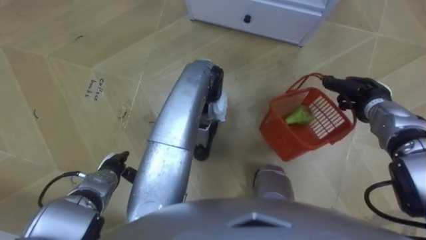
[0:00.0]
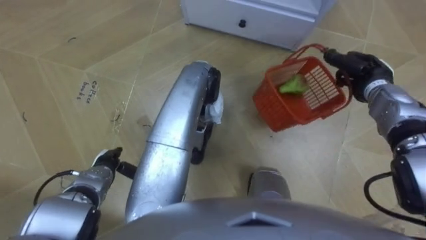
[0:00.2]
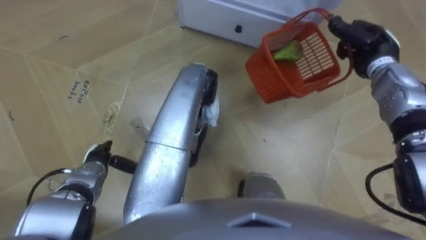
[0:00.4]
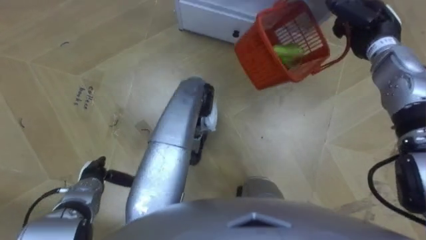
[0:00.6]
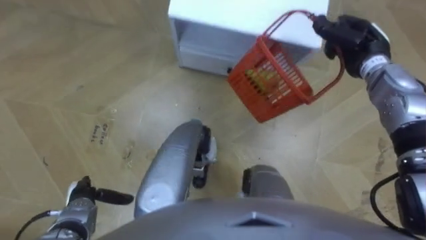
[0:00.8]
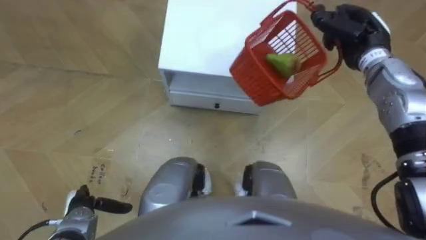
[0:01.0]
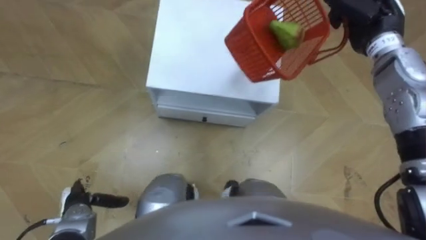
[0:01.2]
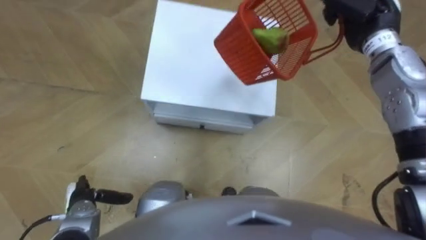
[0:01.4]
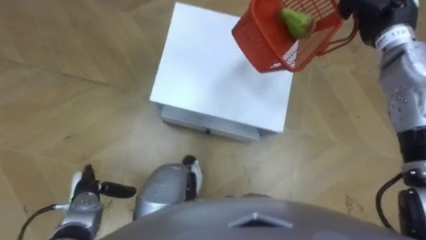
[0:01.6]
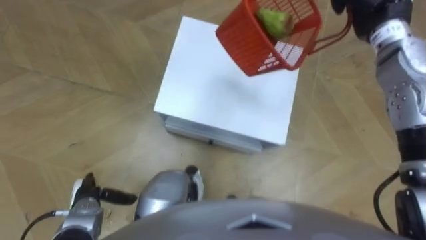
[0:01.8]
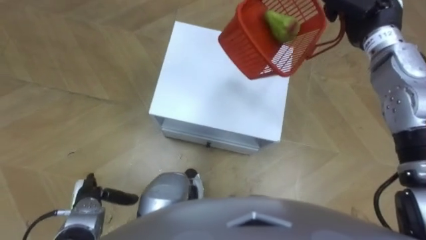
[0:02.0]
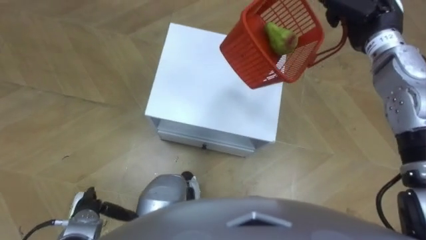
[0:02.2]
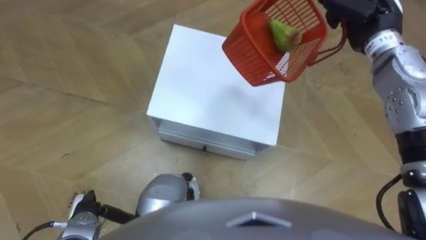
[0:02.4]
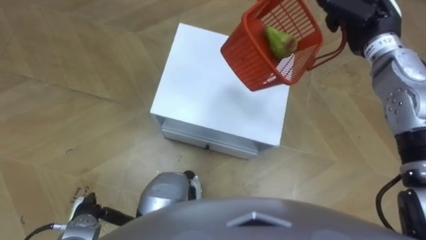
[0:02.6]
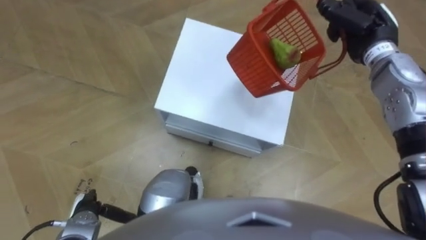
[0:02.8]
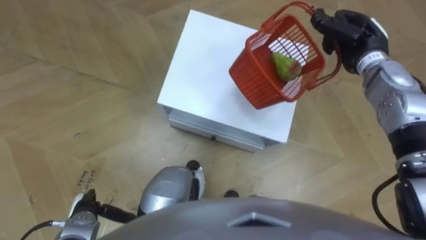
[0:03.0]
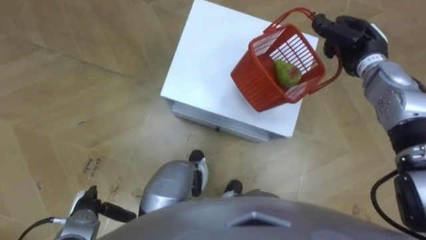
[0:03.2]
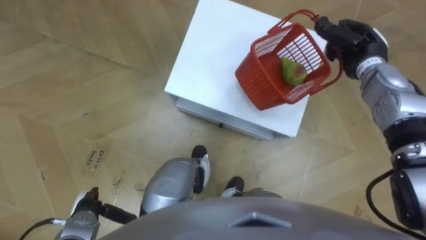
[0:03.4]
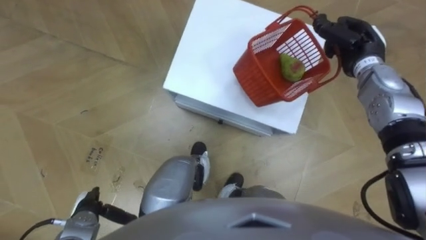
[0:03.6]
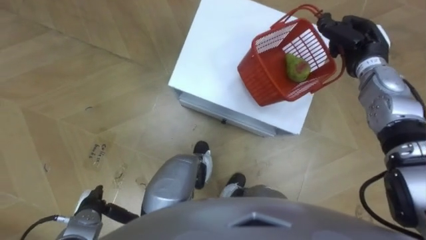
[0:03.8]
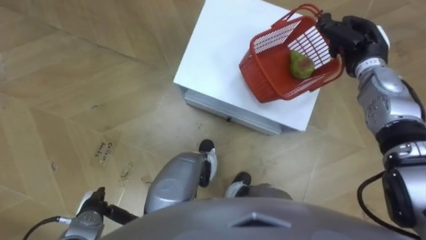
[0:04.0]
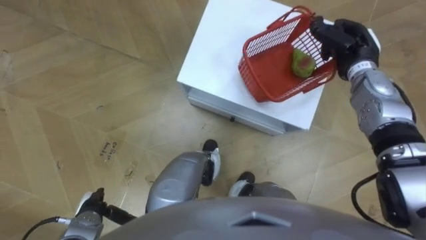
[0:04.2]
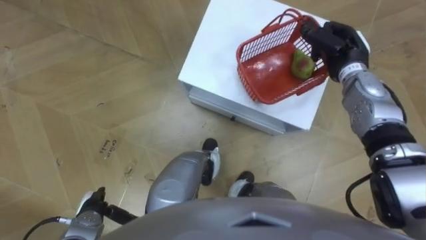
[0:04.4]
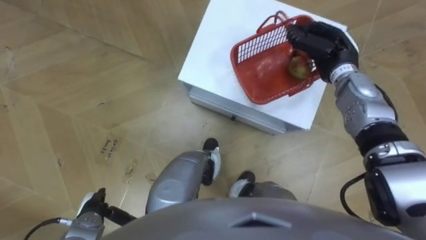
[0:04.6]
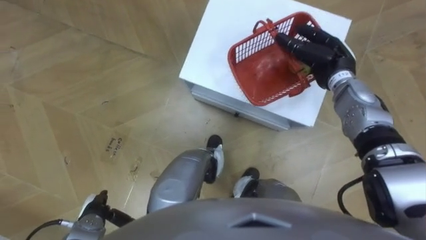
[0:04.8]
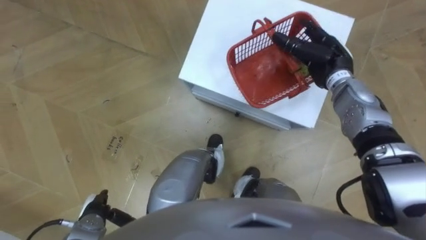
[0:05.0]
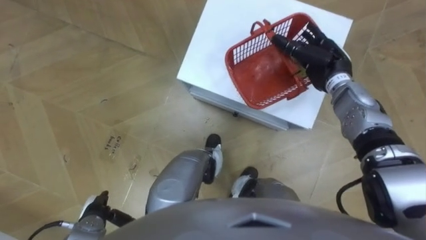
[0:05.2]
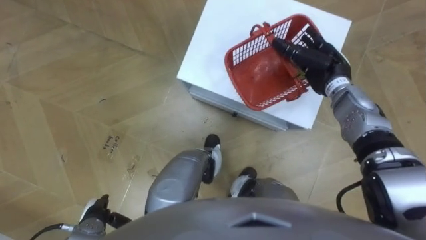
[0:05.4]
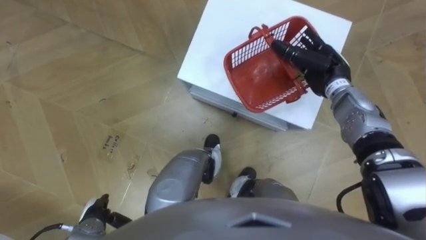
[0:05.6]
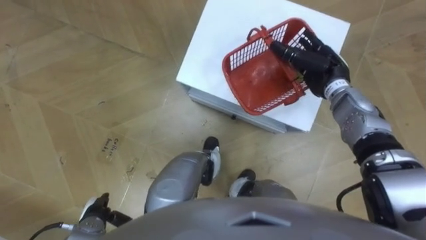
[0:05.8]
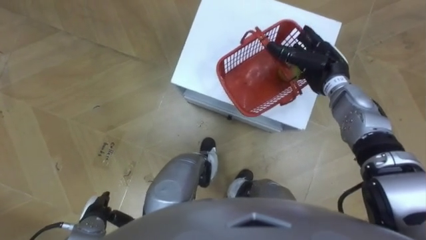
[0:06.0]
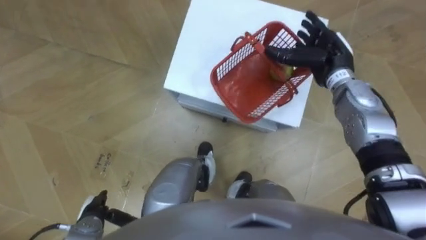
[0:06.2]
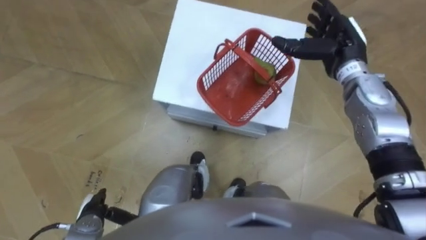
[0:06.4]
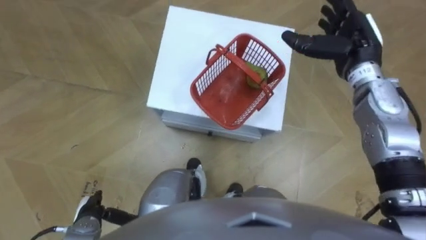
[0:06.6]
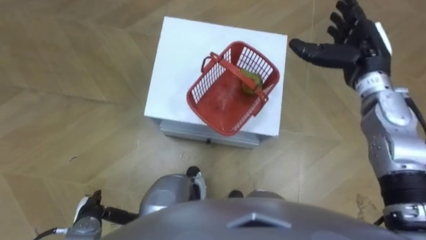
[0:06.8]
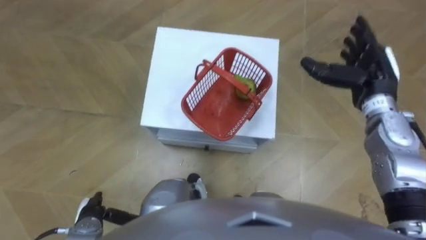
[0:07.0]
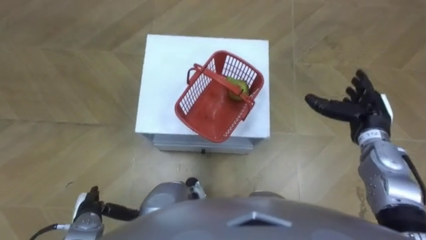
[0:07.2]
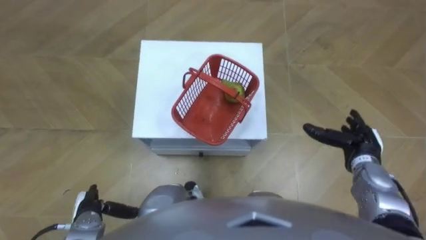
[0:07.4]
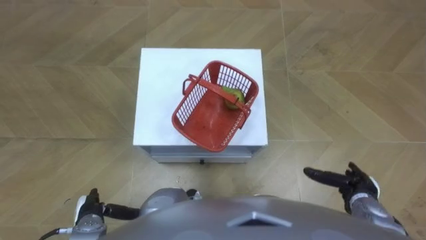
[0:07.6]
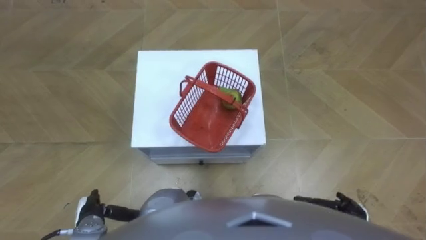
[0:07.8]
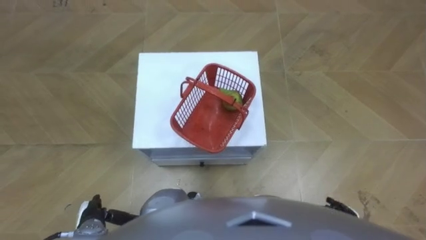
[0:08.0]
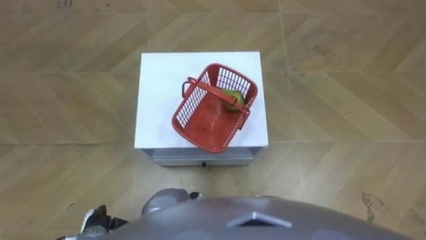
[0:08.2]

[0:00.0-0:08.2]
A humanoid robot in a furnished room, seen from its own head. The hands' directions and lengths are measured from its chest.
Task of the whole recording: Pick up the fruit basket from the floor and place it on the cabinet.
0:00.0 to 0:01.6: The right hand travels upward and forward by some 20 cm. Meanwhile the left hand heads to the left, covering roughly 5 cm.
0:01.6 to 0:03.2: The right hand moves downward, some 10 cm.
0:03.2 to 0:05.0: The right hand ends up about 5 cm from where it was, and opens.
0:05.0 to 0:06.6: The right hand travels upward by some 10 cm.
0:06.6 to 0:08.2: The right hand travels backward and downward by approximately 40 cm.

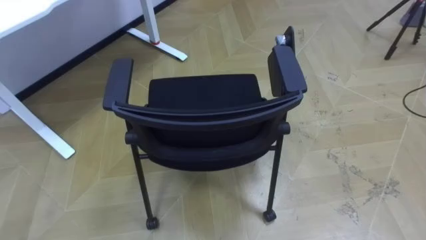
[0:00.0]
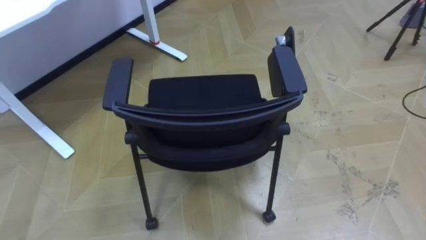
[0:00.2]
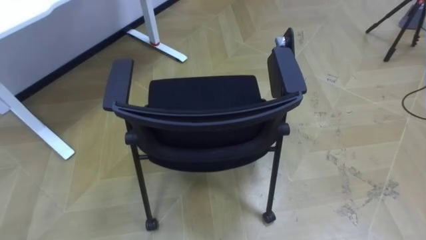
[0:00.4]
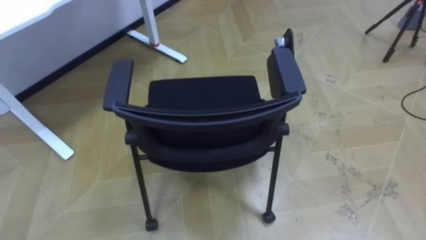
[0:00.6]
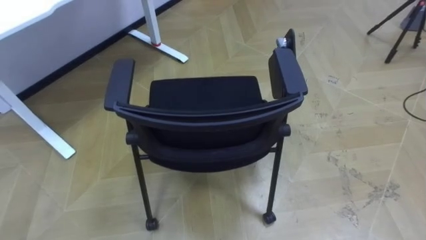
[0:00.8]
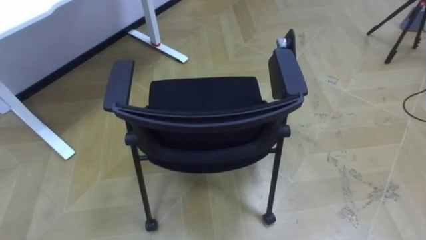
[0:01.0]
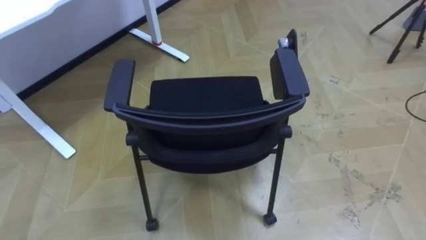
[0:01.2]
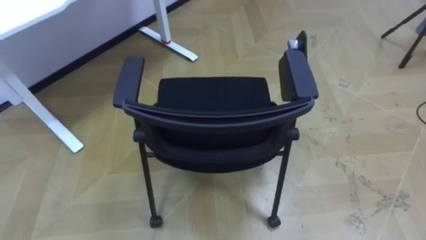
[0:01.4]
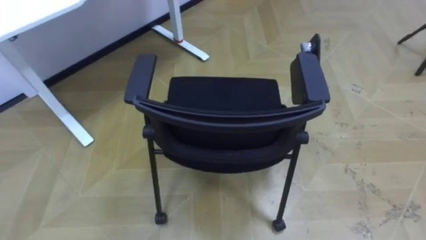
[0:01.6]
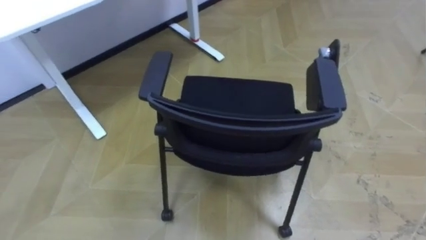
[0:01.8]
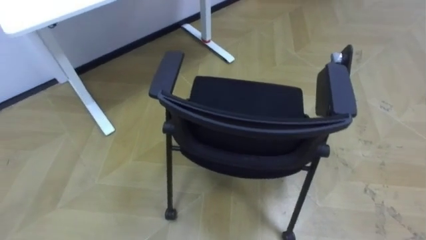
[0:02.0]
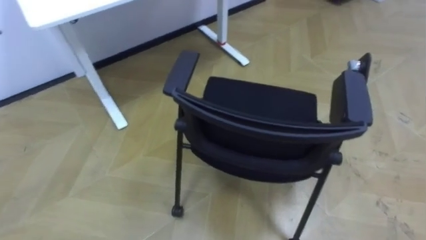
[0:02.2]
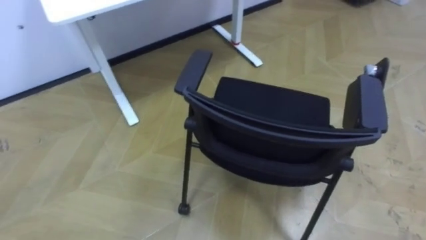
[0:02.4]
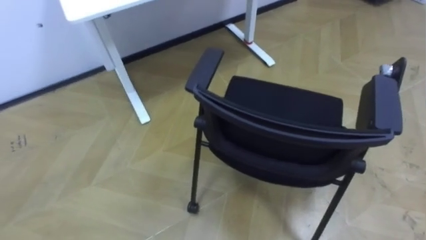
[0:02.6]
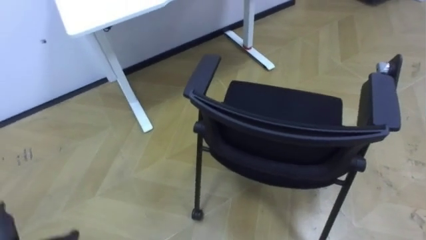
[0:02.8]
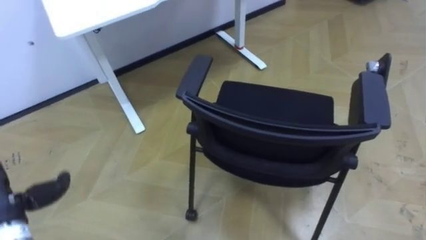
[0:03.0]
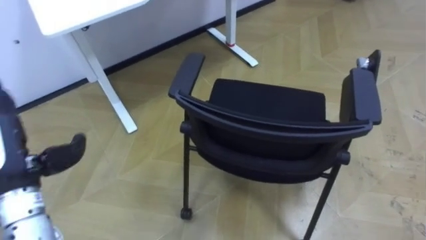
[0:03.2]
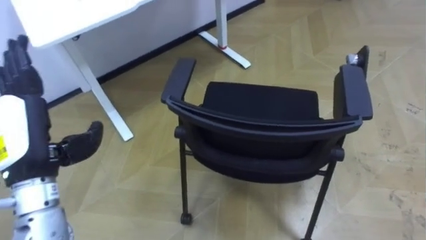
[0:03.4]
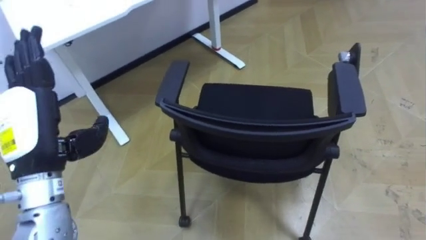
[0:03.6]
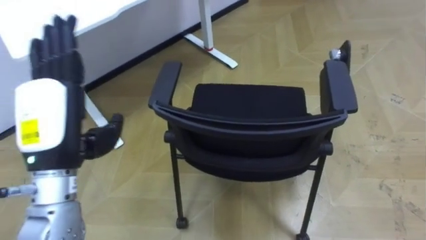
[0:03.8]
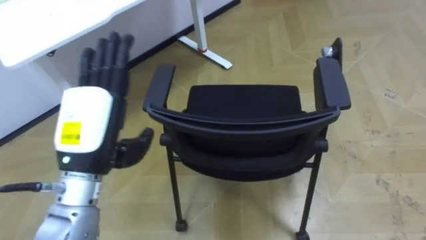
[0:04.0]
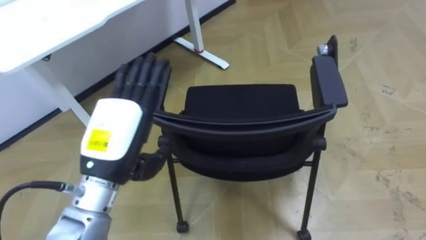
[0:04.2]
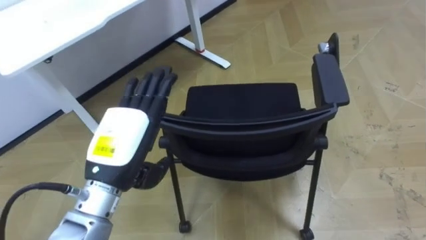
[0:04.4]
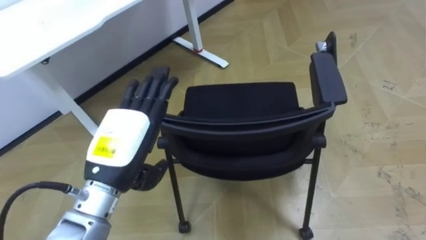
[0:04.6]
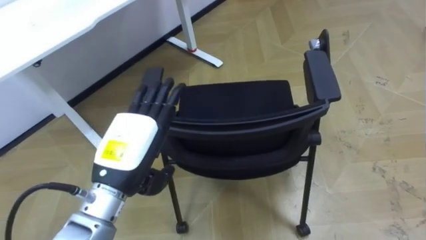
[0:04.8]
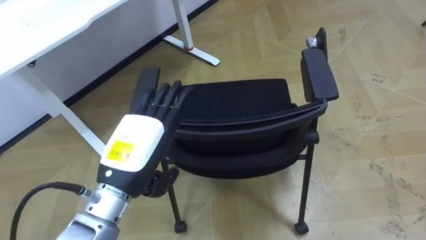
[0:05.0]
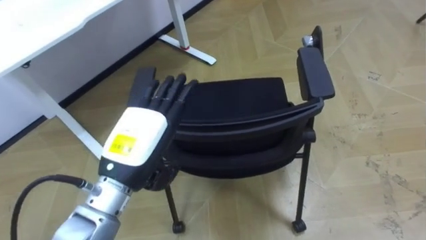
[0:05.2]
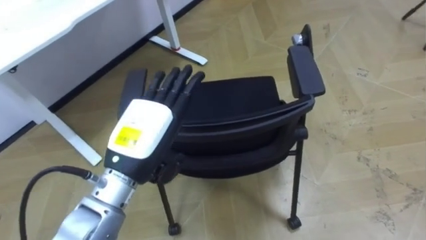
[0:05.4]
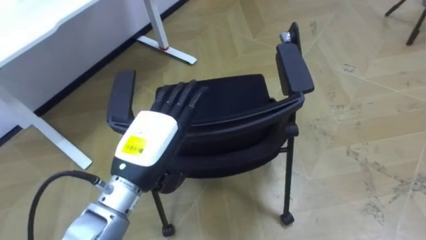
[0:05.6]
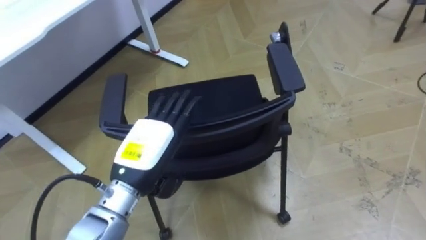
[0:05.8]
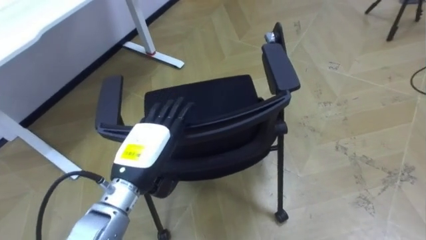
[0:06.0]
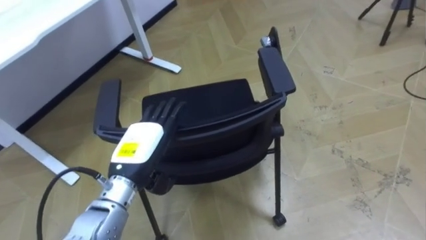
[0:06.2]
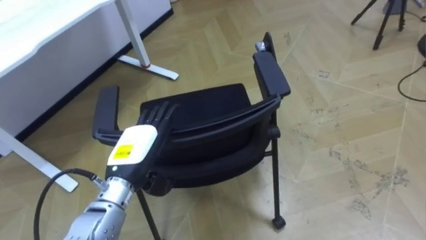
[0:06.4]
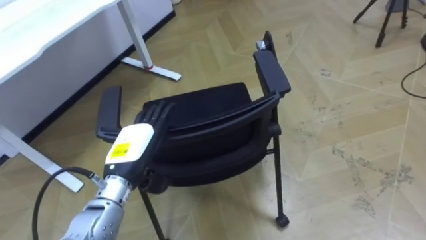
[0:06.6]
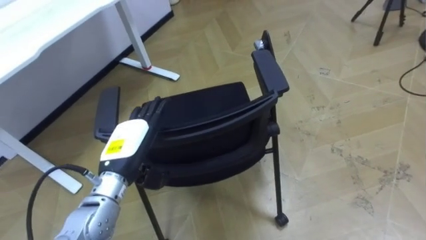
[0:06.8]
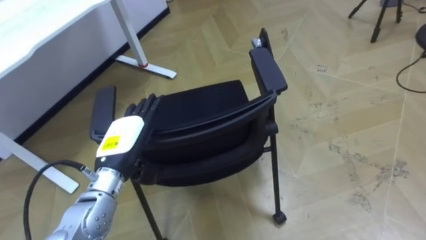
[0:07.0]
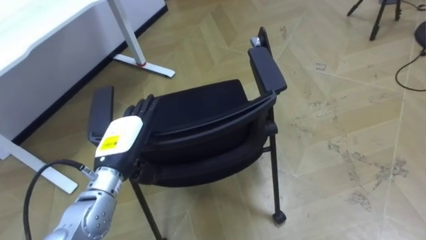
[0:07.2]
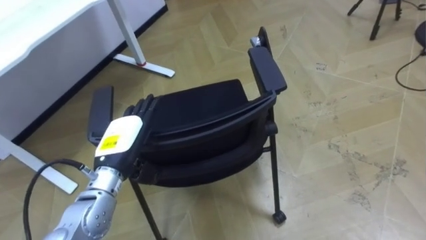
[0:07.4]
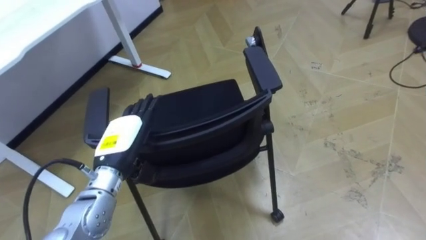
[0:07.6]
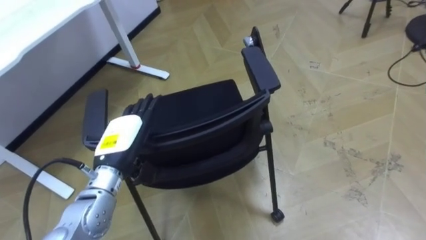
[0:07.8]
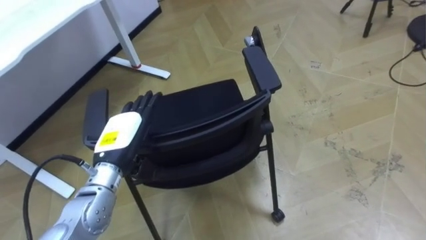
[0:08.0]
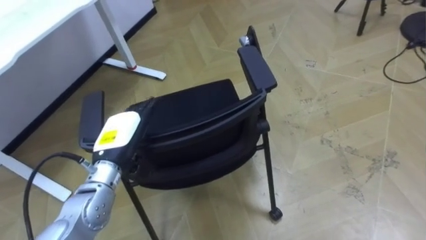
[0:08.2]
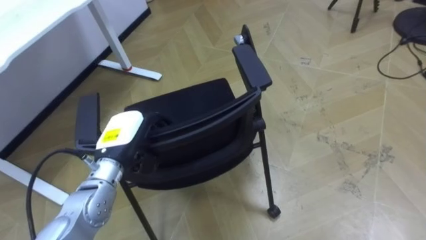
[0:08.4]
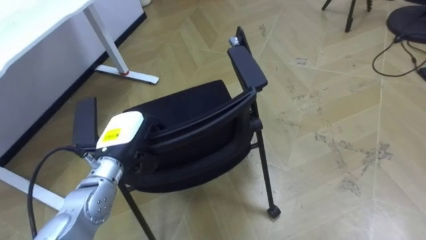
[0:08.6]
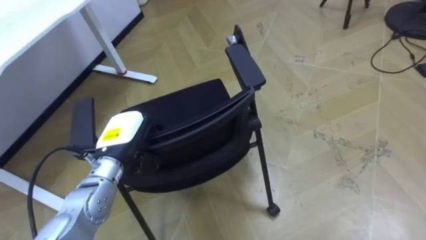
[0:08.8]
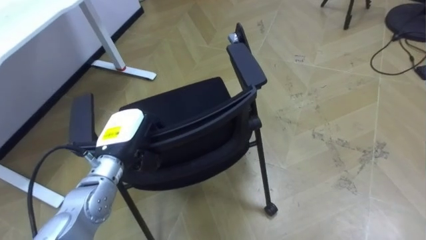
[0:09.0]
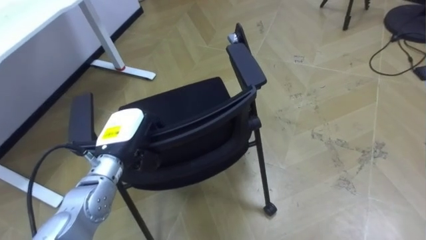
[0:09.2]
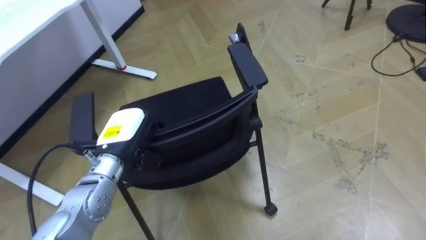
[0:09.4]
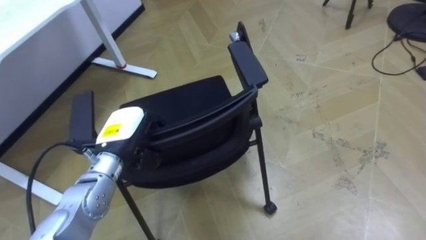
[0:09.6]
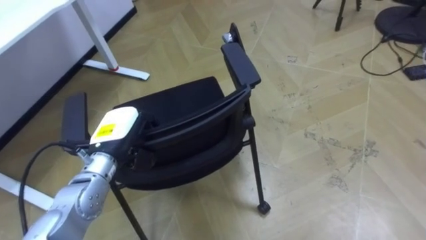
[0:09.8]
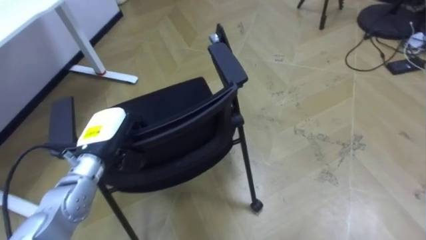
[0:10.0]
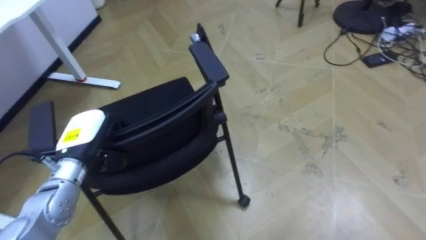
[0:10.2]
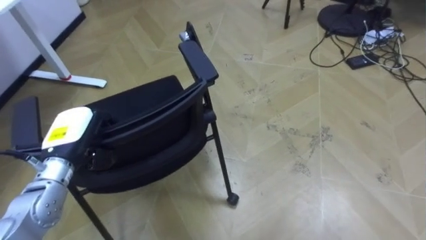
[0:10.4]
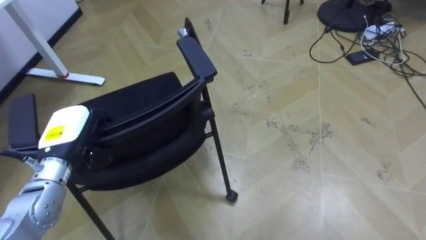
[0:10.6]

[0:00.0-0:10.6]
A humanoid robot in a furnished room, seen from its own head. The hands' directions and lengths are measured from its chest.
Task of the whole recording: Push the chair under the table.
0:04.6 to 0:06.0: The left hand goes about 5 cm downward.
0:06.0 to 0:07.6: The left hand moves roughly 5 cm.
0:07.6 to 0:09.0: The left hand closes its fingers.
0:09.0 to 0:10.6: The left hand shifts some 10 cm to the left.
